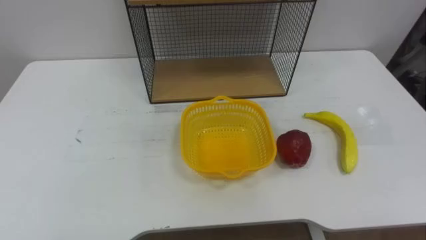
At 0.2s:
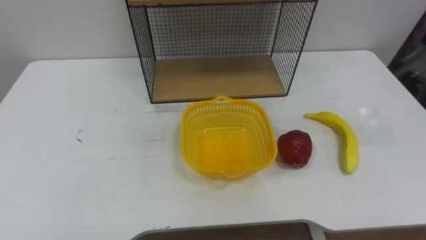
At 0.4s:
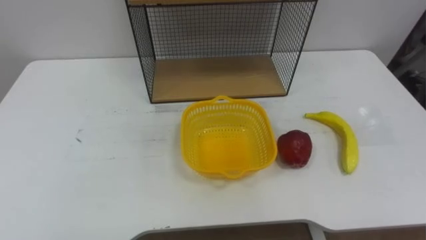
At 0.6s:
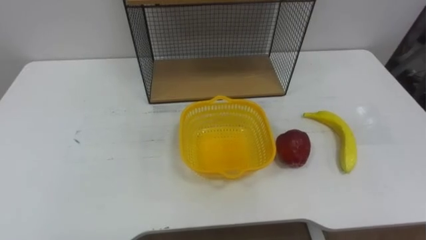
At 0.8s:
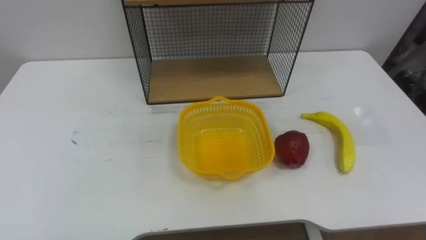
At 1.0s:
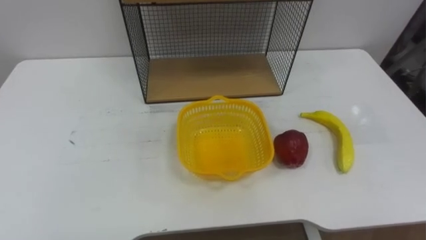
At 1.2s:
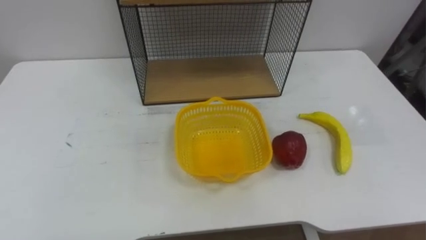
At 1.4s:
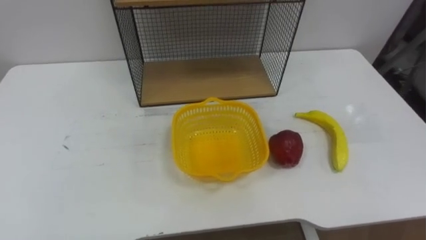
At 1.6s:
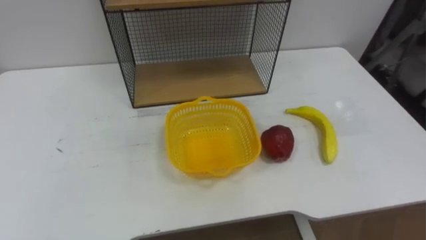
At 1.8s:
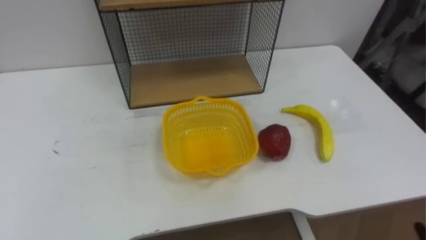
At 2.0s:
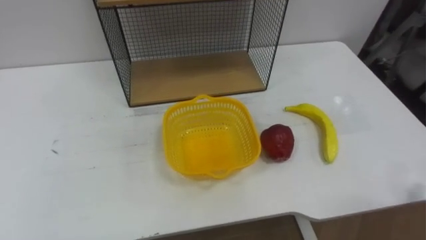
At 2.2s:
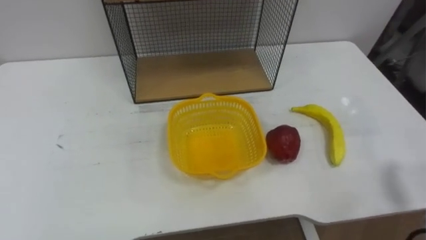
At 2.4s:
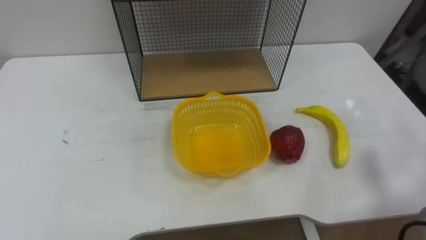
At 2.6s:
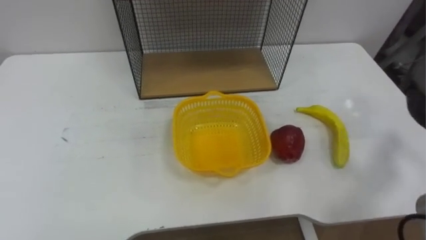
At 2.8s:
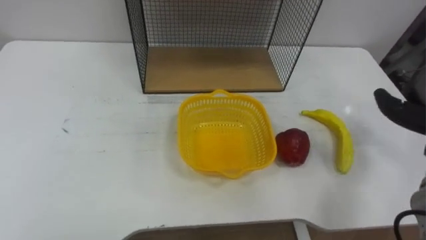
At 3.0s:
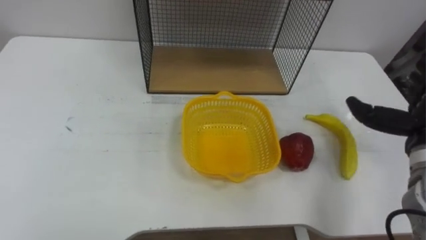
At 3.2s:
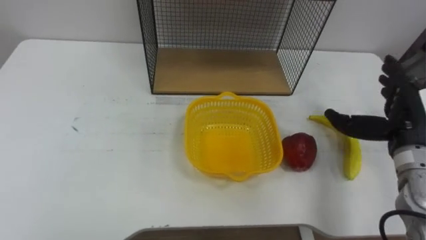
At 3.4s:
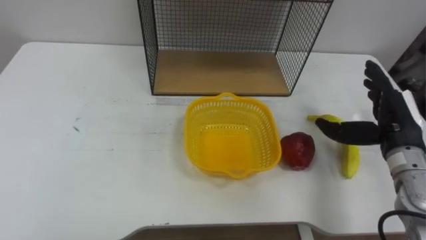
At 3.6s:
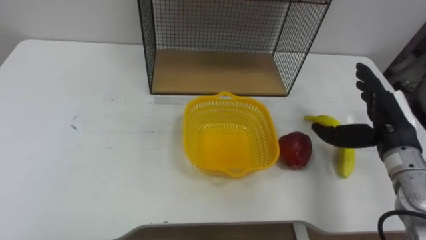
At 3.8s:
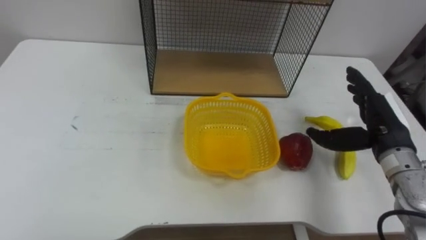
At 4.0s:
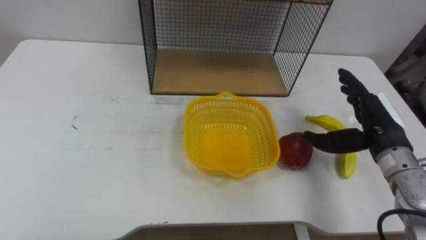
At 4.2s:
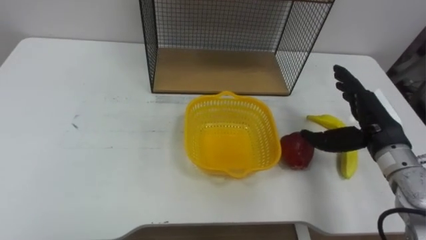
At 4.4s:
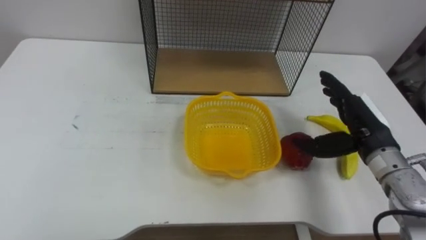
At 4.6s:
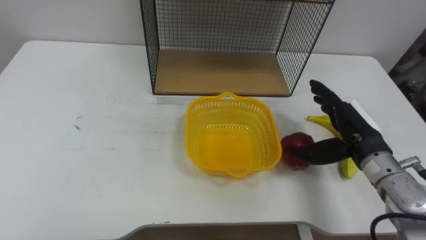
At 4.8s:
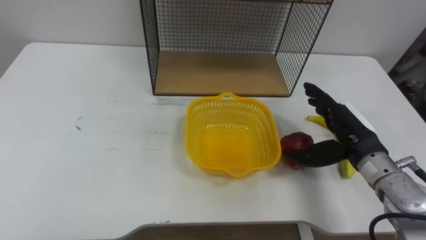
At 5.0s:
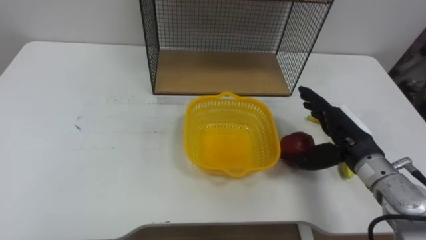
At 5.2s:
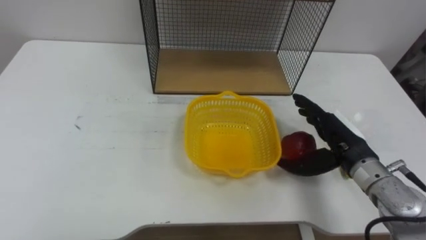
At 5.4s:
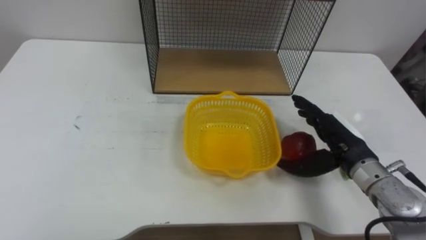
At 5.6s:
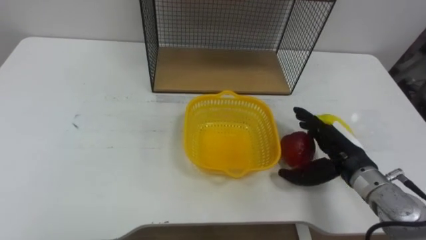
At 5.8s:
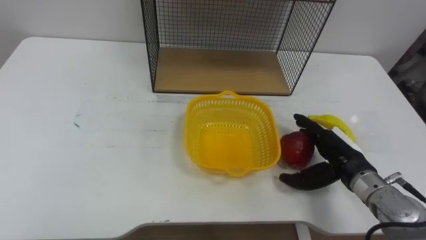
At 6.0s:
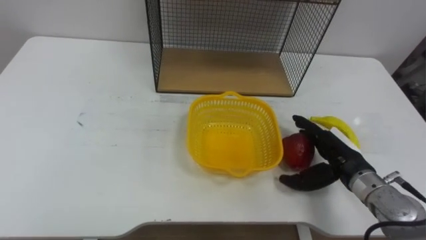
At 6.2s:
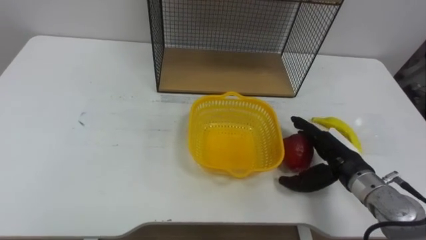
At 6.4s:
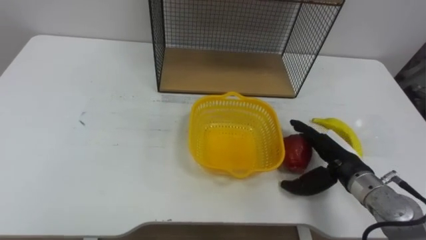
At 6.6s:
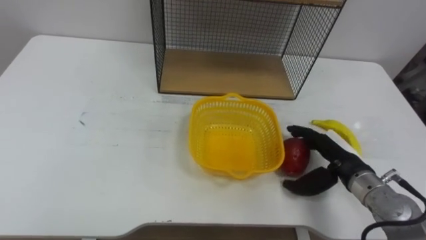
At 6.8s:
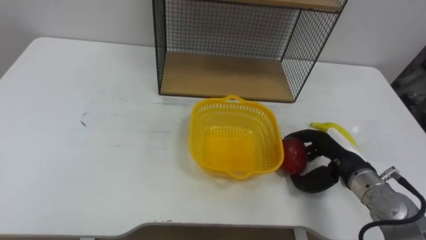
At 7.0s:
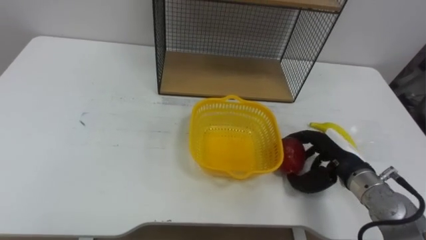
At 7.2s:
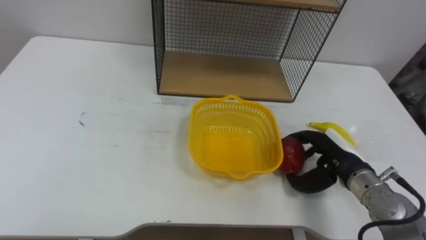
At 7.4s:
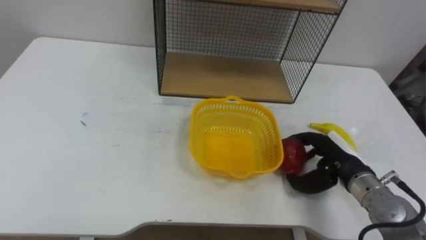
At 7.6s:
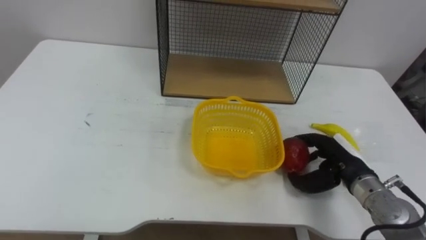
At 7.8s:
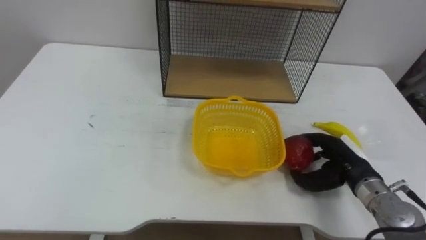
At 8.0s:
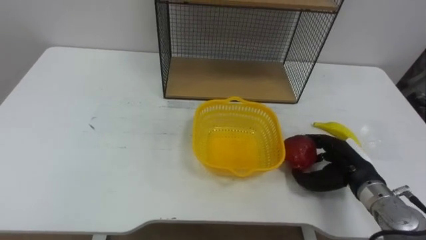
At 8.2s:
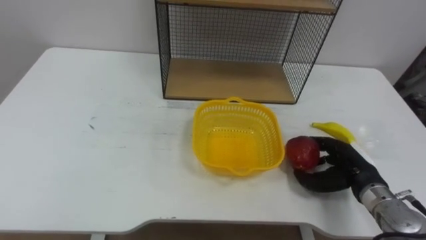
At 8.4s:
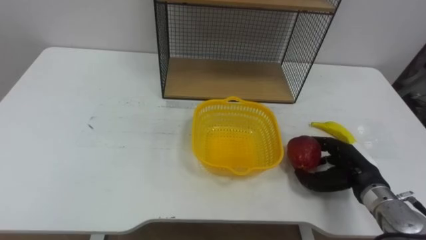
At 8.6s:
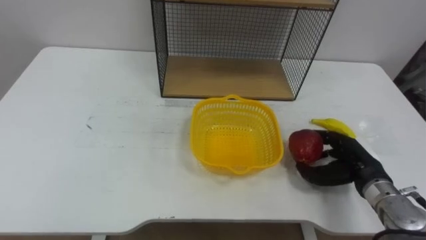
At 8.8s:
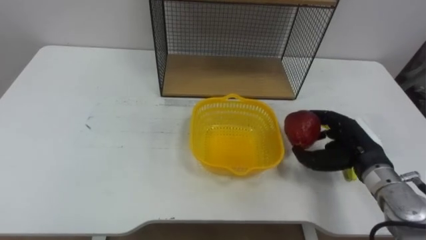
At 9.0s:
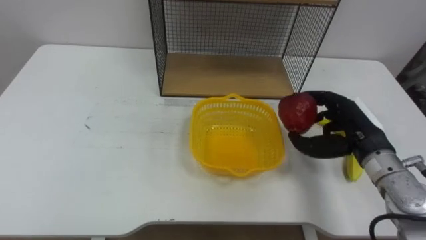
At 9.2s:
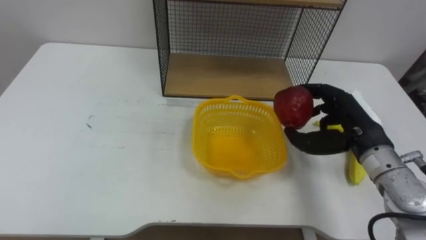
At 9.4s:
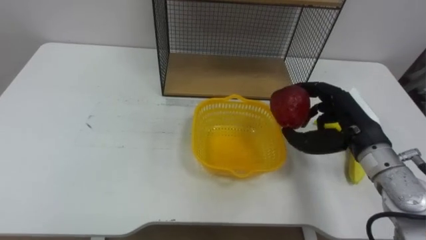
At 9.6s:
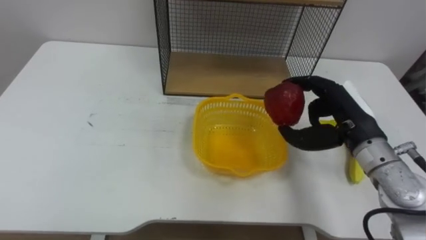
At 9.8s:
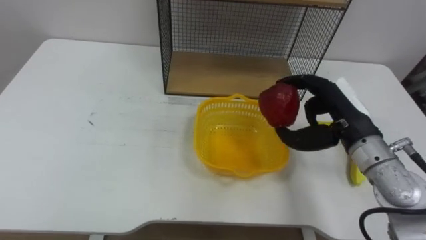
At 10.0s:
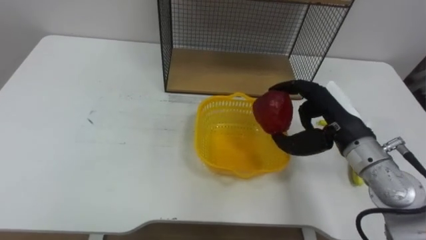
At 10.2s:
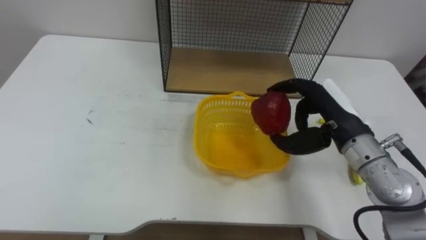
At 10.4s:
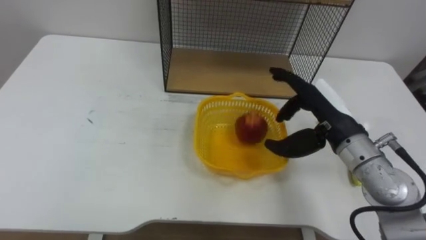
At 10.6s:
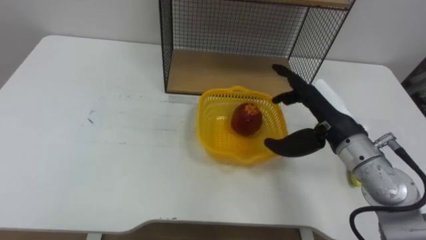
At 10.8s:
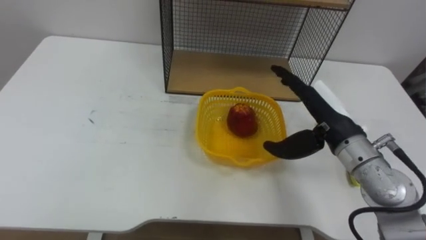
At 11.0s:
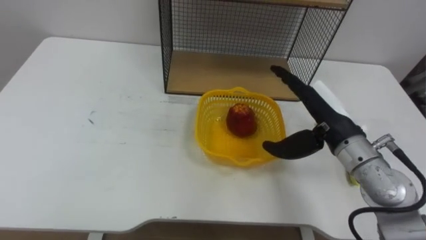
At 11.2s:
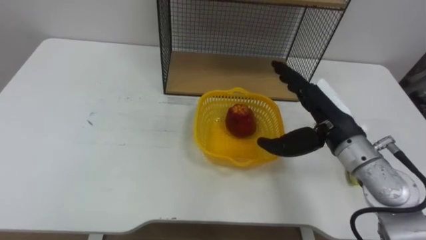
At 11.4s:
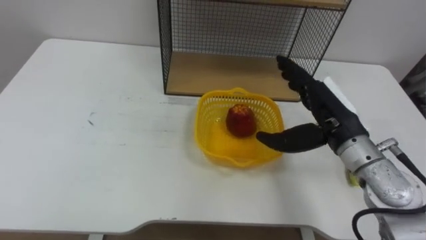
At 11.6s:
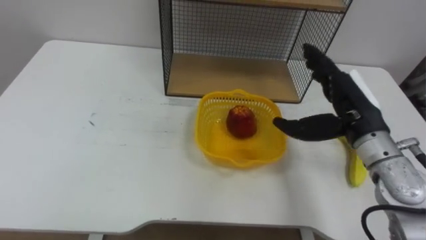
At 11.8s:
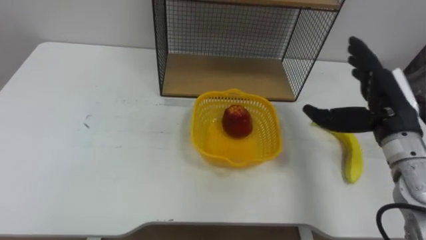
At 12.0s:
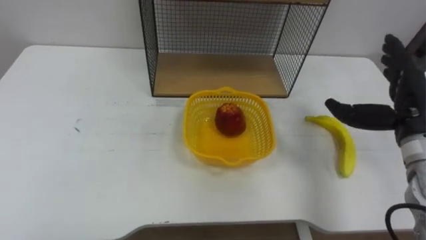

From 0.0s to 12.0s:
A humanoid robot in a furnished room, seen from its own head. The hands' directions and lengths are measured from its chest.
Task of the whole recording: Put the fruit on the table into the basket, then place the basket on the shelf.
From 4.4s to 6.0s: The right hand heads downward, covering about 5 cm.
From 6.0s to 7.6s: The right hand closes.
From 7.6s to 9.0s: The right hand goes roughly 10 cm upward.
From 9.0s to 10.4s: The right hand goes approximately 5 cm to the left.
From 10.4s to 12.0s: The right hand shifts roughly 10 cm to the right.

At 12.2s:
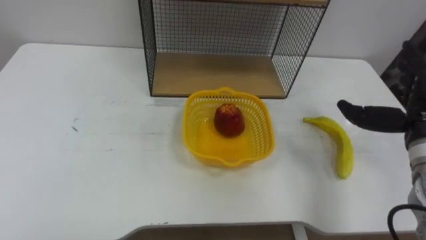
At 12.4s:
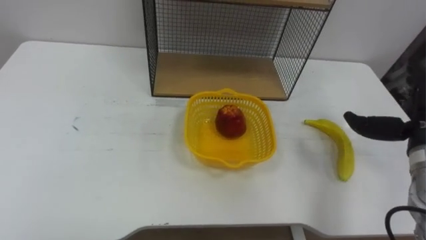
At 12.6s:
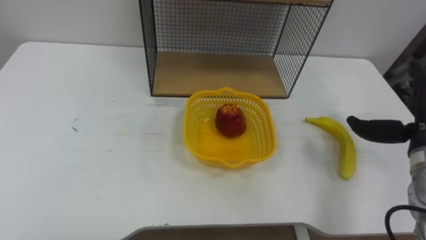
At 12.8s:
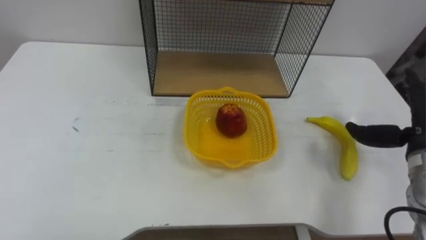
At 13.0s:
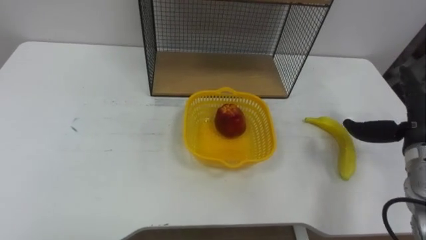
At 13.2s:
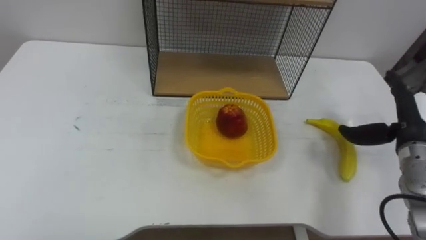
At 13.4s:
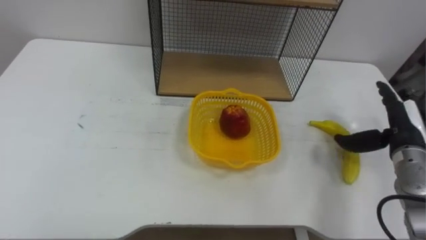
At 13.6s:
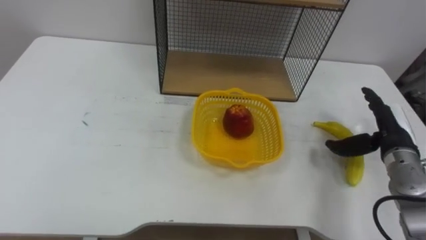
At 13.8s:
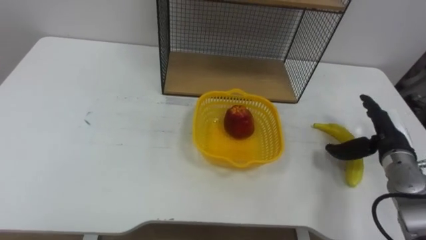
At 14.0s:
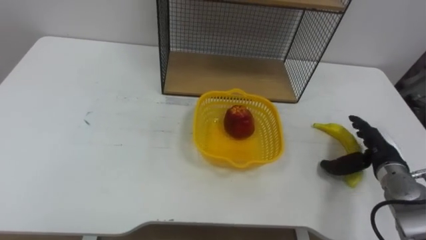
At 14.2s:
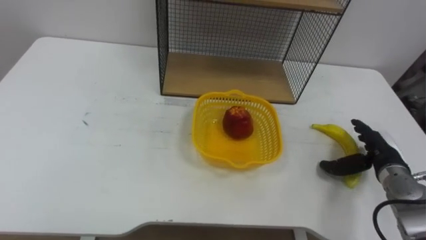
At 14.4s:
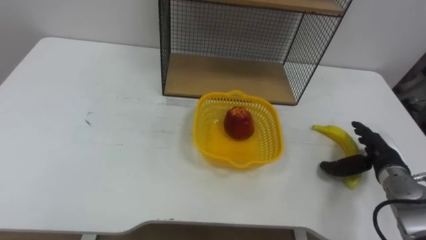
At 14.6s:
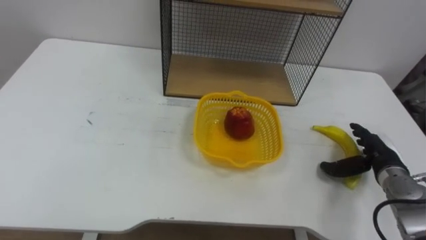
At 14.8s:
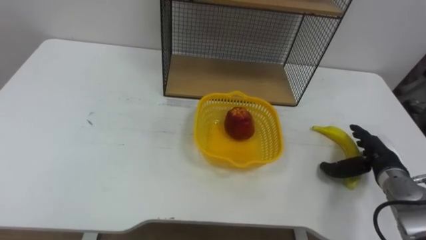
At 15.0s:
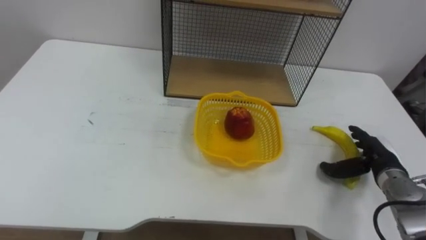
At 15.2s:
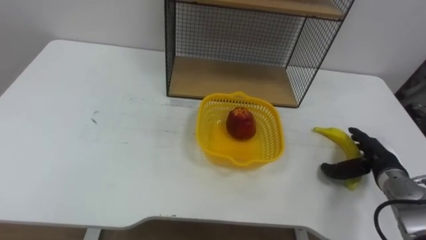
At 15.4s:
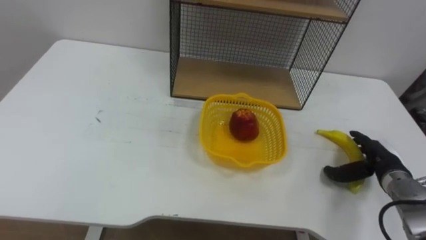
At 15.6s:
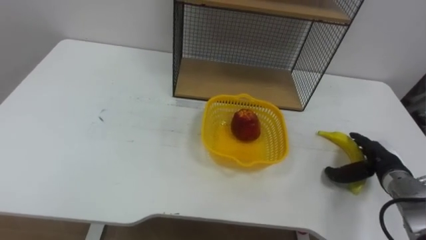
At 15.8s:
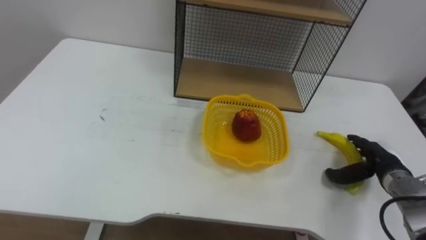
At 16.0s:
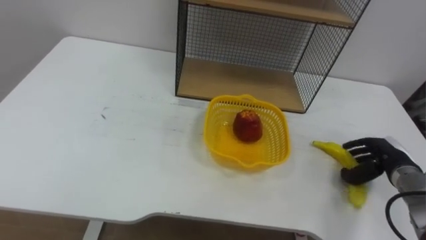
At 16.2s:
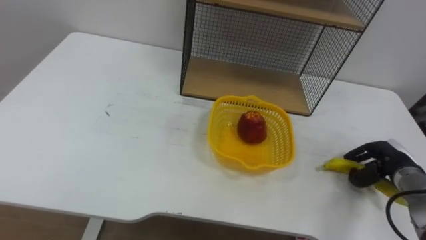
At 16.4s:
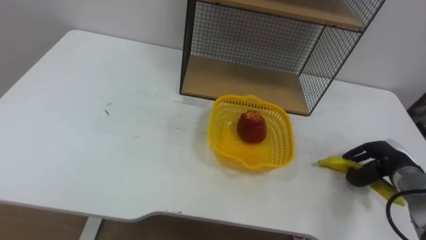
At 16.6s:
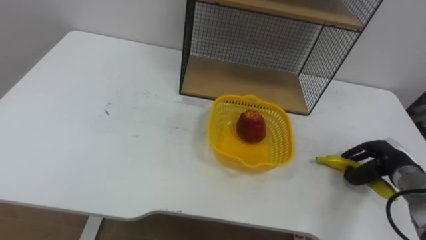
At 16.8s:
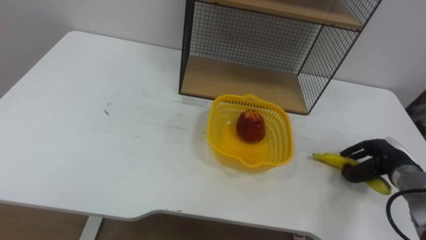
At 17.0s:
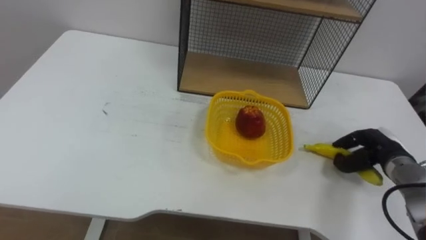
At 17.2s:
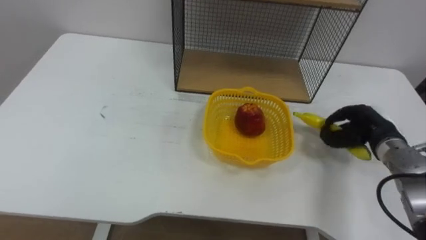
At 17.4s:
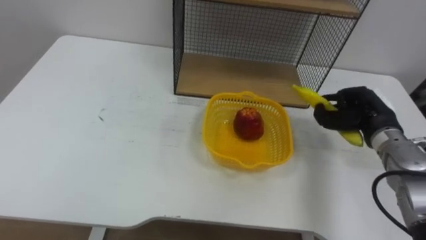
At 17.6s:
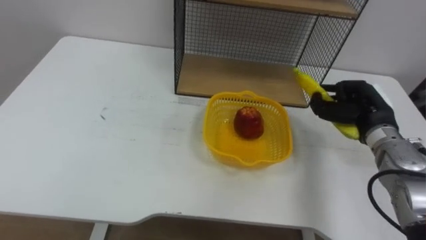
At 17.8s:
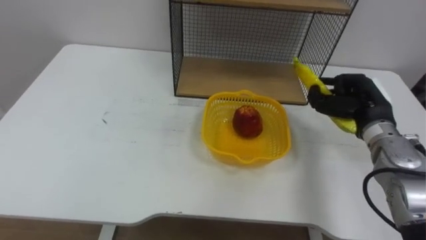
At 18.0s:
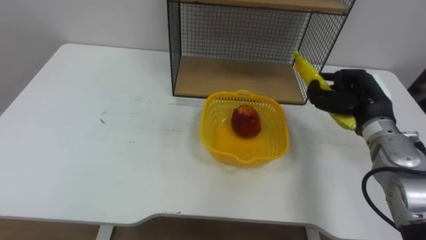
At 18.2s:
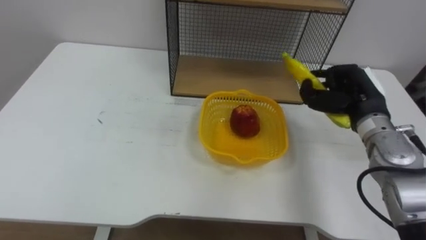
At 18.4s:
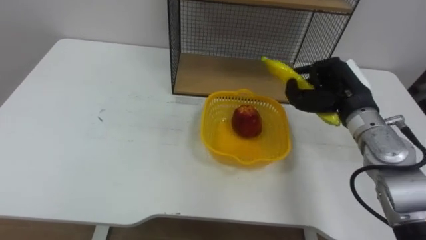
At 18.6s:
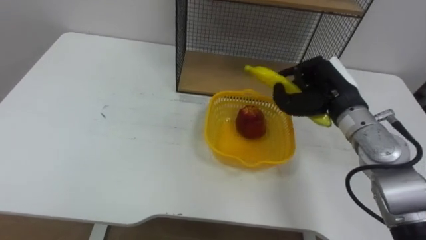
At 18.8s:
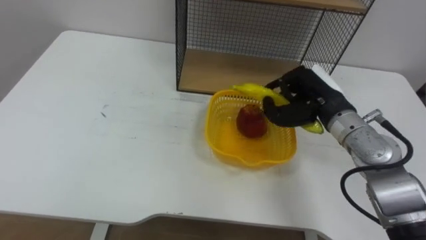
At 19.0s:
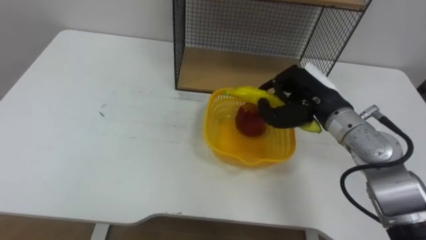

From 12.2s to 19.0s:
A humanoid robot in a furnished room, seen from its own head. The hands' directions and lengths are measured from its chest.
Task of the whole recording: Put the fruit on the table into the basket, then place the basket on the shelf.
From 13.6s to 15.0s: The right hand is displaced downward by some 5 cm.
From 15.0s to 16.2s: The right hand closes up.
From 16.2s to 17.6s: The right hand shifts some 15 cm upward, to the left and forward.
From 17.6s to 19.0s: The right hand moves to the left, roughly 10 cm.
